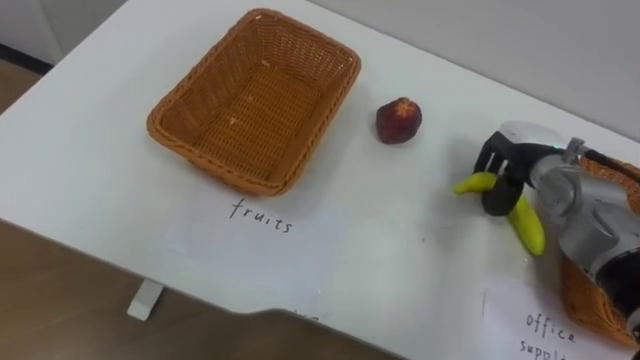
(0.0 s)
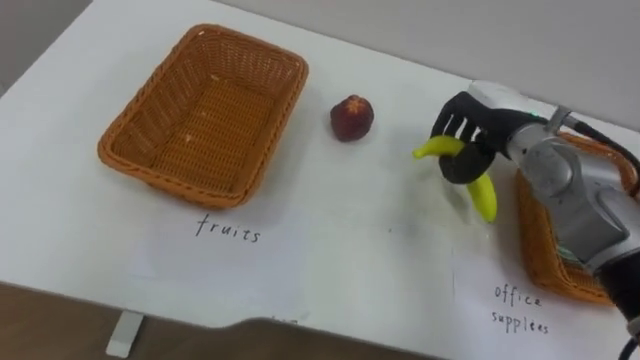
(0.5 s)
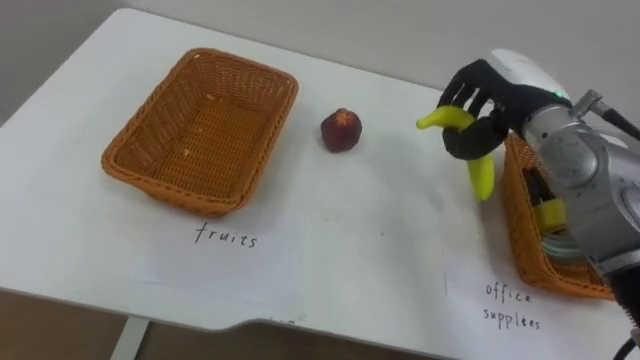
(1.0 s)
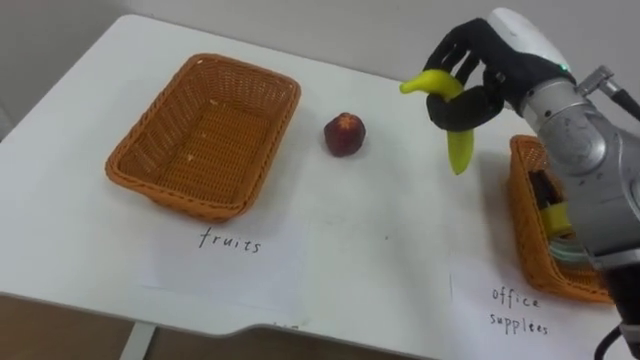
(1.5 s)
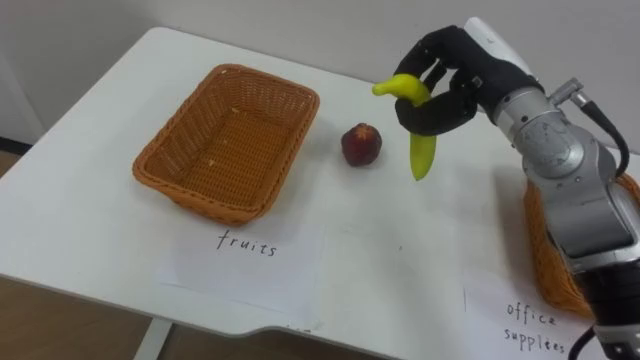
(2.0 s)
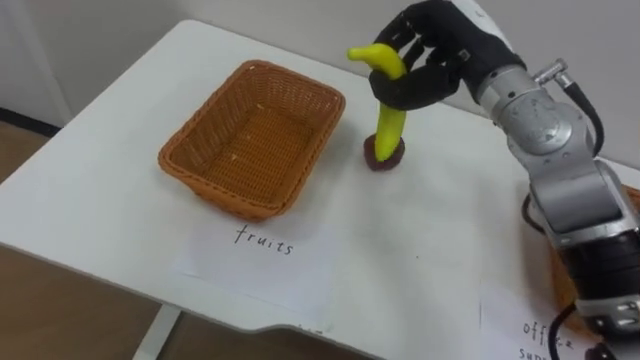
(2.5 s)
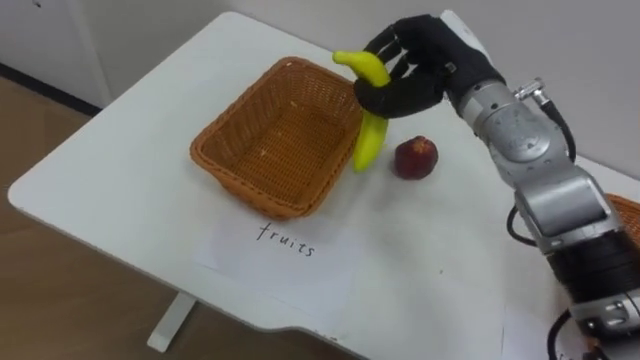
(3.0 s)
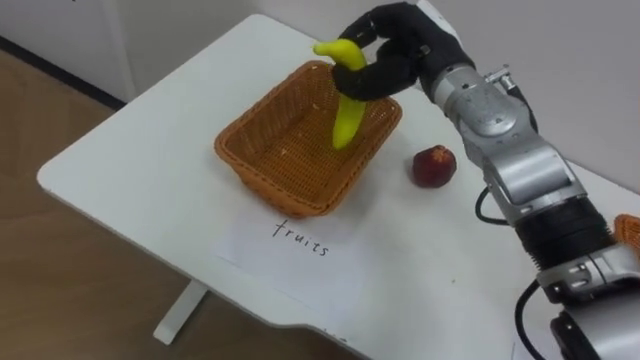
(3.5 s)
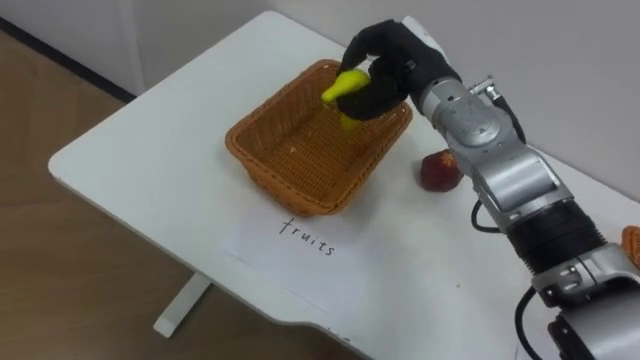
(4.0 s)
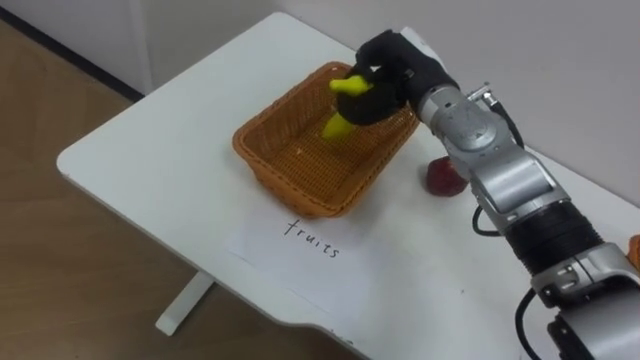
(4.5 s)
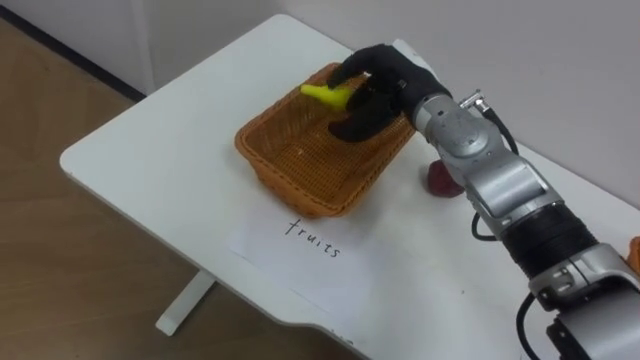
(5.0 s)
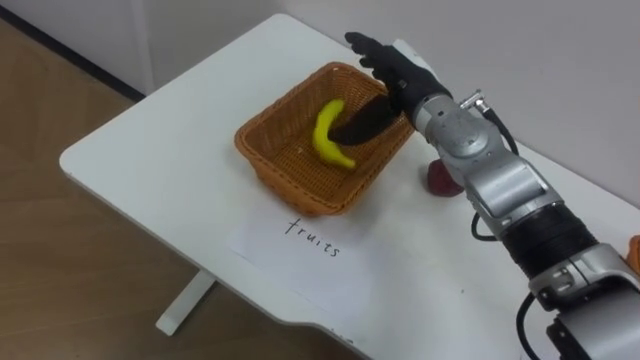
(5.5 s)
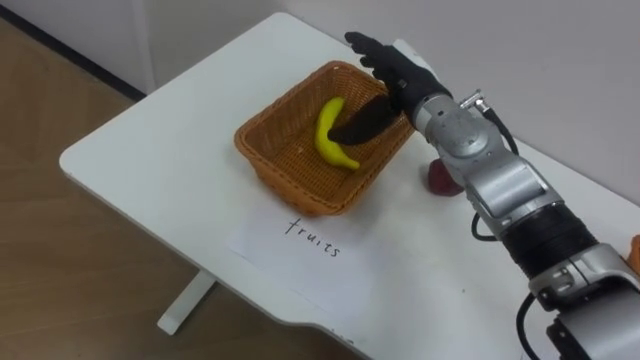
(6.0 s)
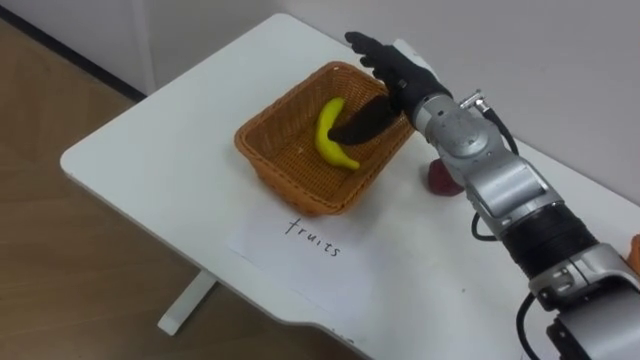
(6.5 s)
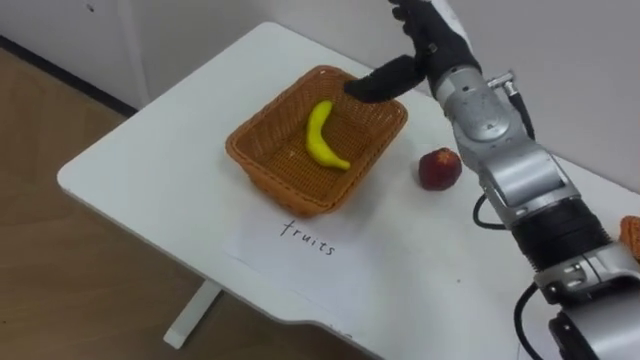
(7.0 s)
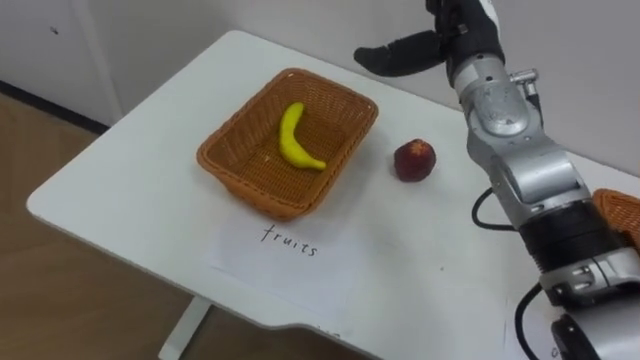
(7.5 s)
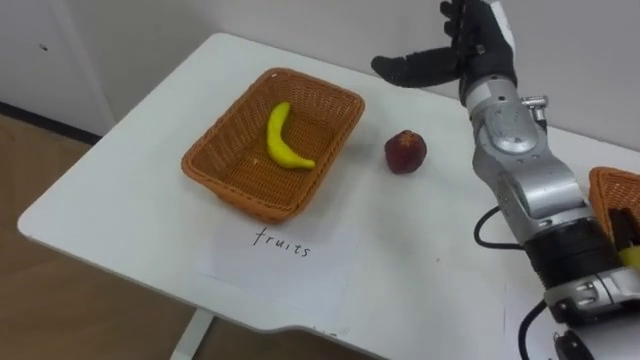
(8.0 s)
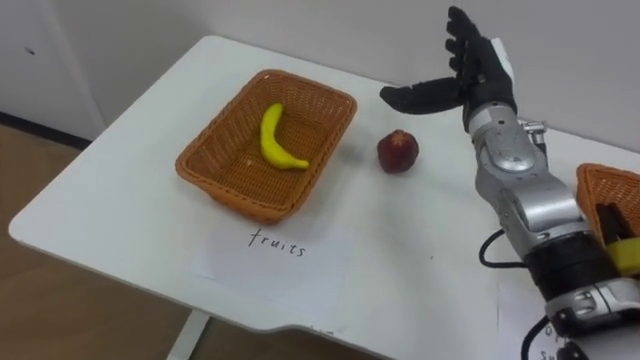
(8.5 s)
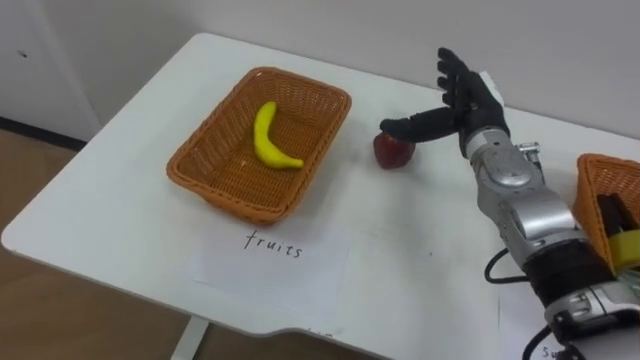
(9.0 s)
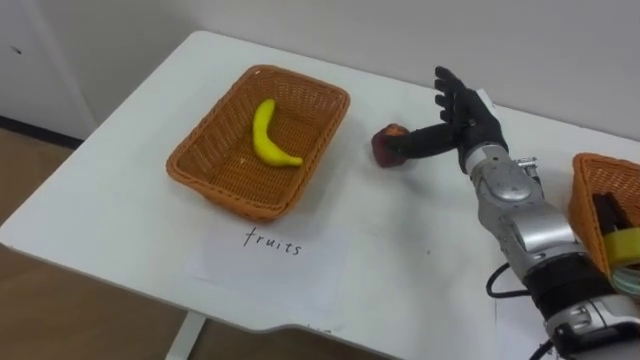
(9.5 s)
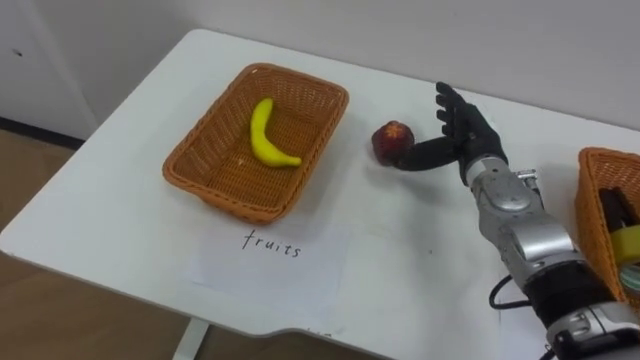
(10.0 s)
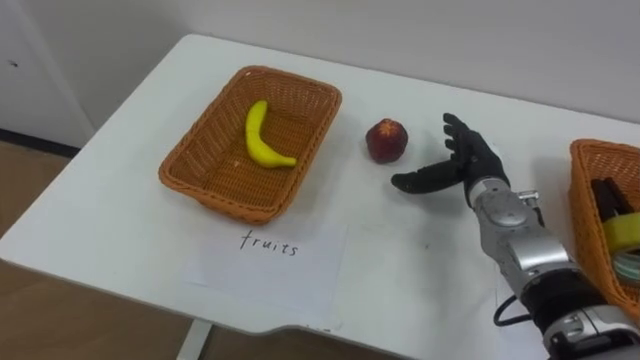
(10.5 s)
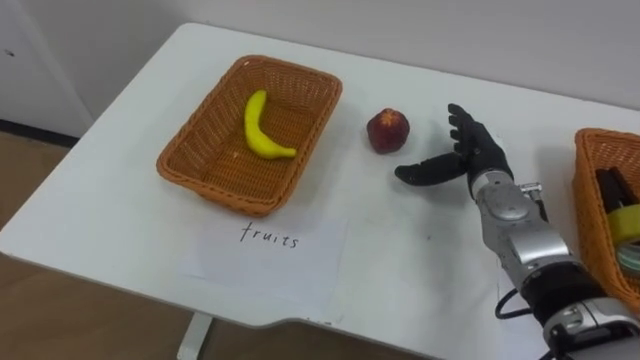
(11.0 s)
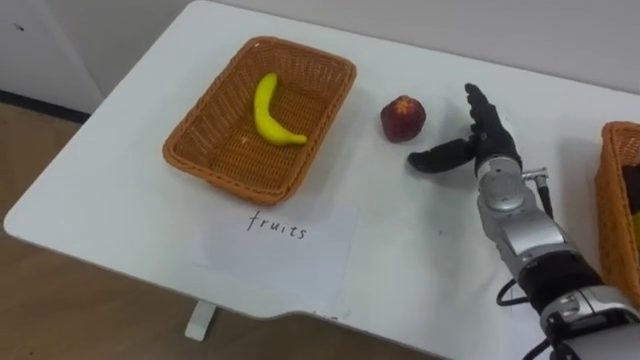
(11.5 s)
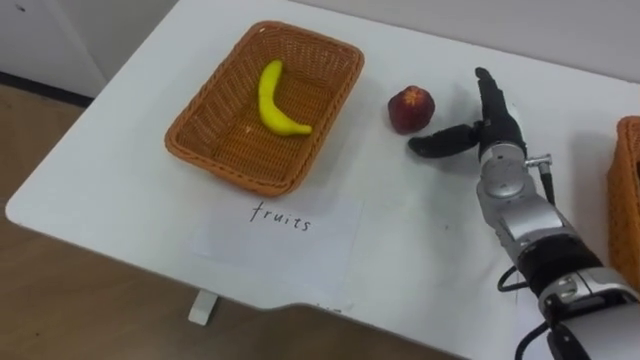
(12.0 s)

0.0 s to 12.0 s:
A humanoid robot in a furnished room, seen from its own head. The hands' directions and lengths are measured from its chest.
Task of the whole recording: Separate the items on the table and place them into the two baskets.
0.0 to 2.0 s: The right hand moves upward and to the left, some 15 cm.
2.0 to 4.0 s: The right hand shifts about 10 cm to the left.
4.0 to 6.0 s: The right hand opens its fingers.
6.0 to 8.0 s: The right hand travels to the right by about 5 cm.
8.0 to 10.0 s: The right hand heads downward, covering roughly 10 cm.

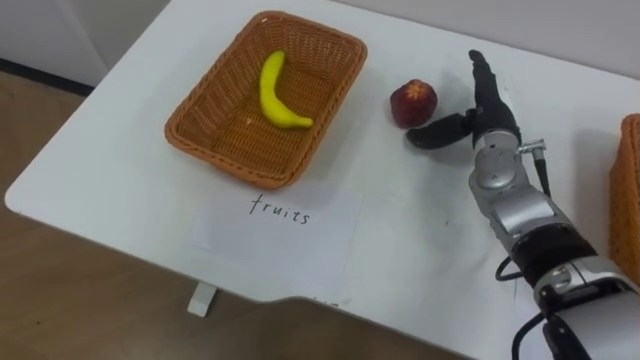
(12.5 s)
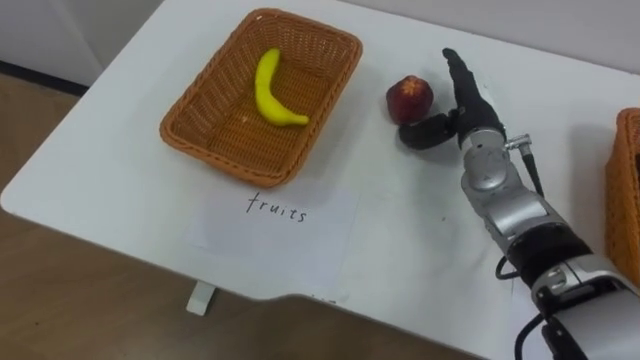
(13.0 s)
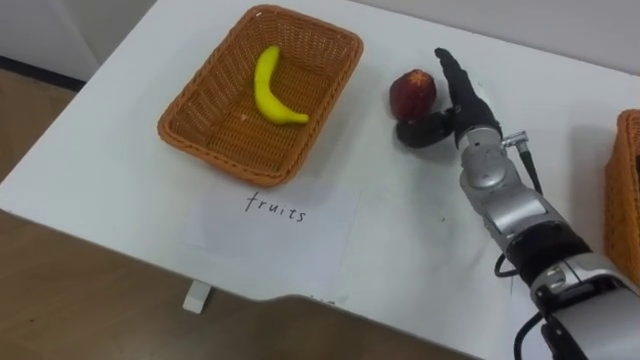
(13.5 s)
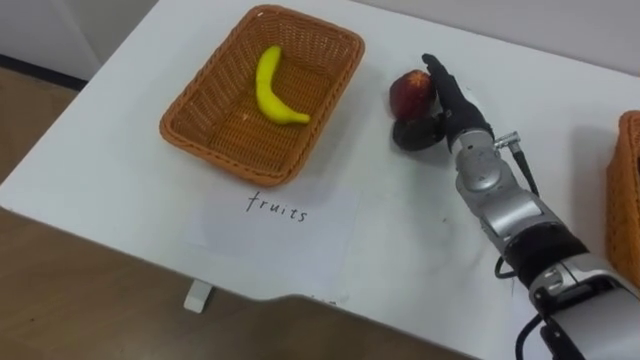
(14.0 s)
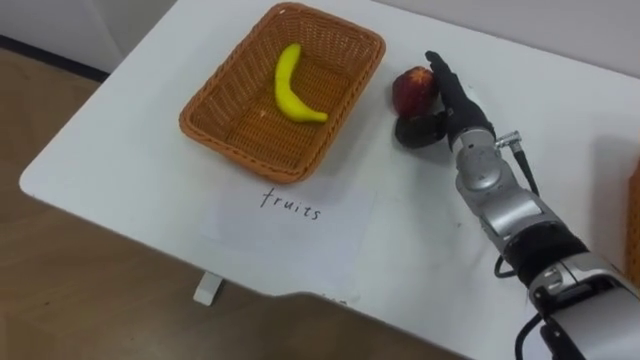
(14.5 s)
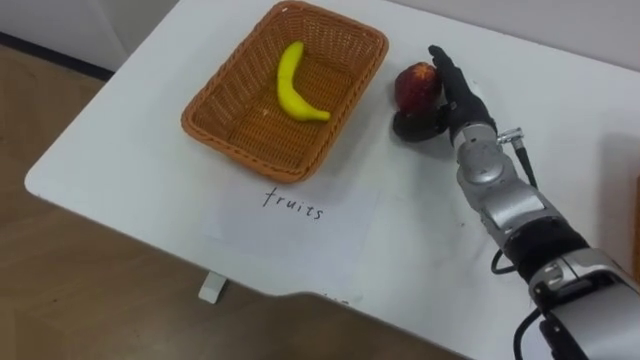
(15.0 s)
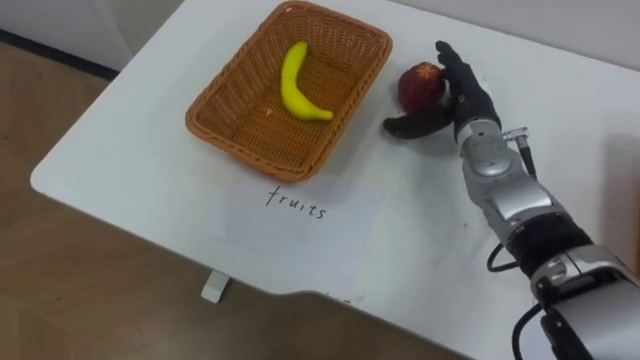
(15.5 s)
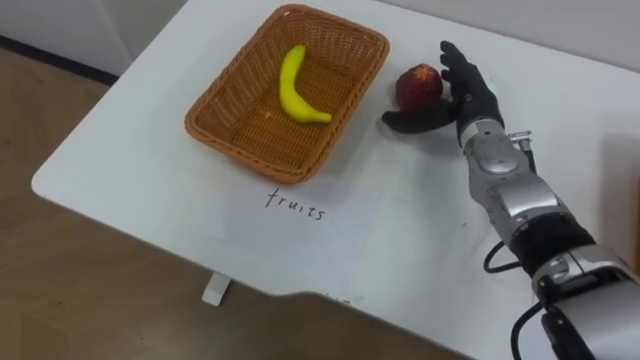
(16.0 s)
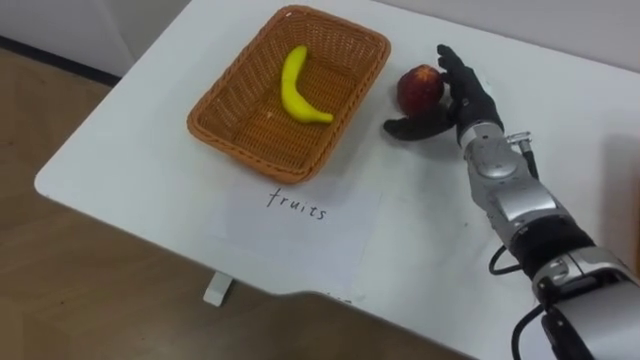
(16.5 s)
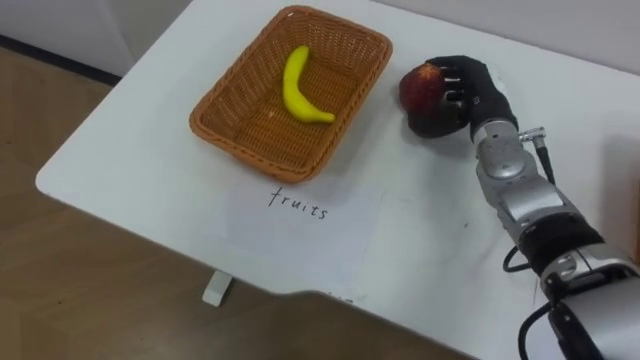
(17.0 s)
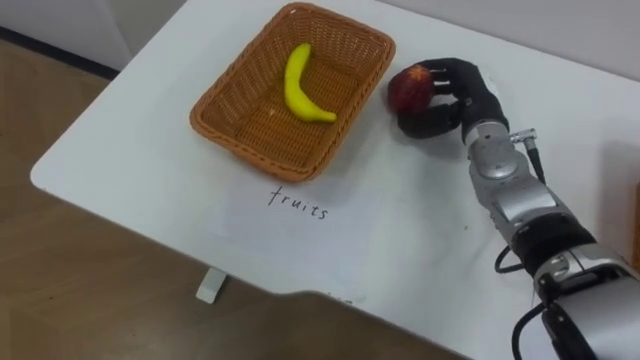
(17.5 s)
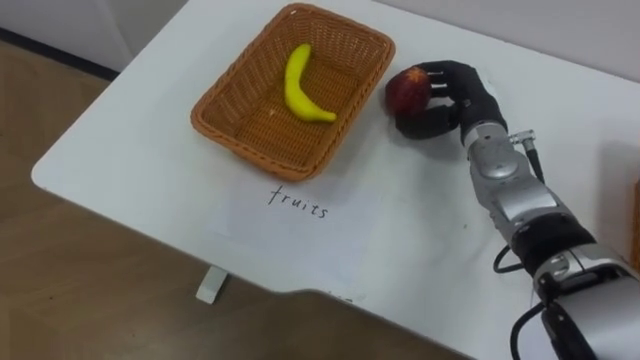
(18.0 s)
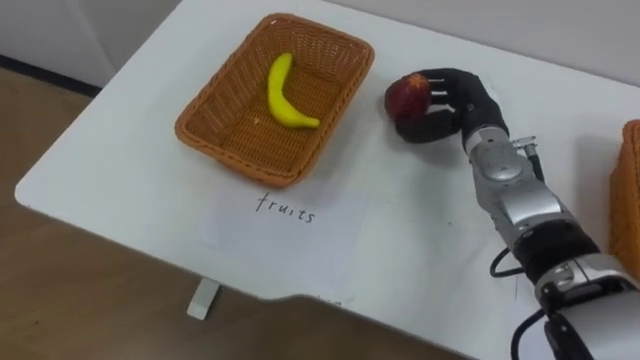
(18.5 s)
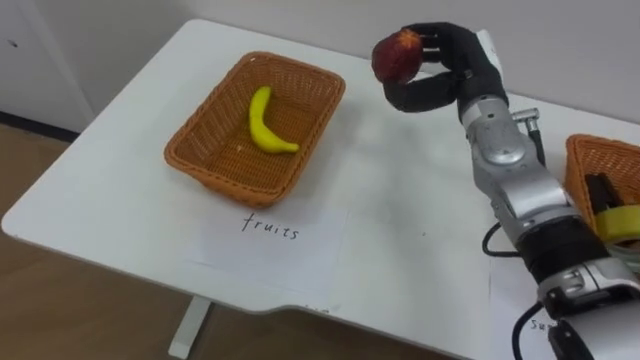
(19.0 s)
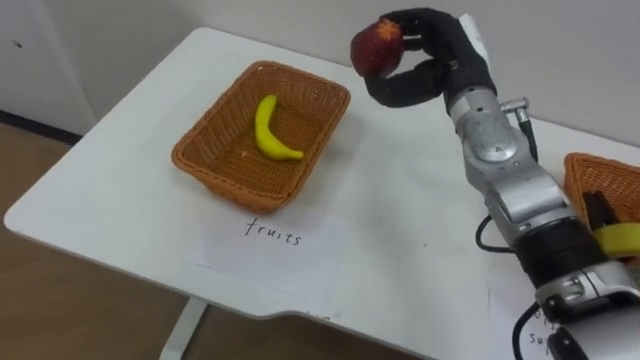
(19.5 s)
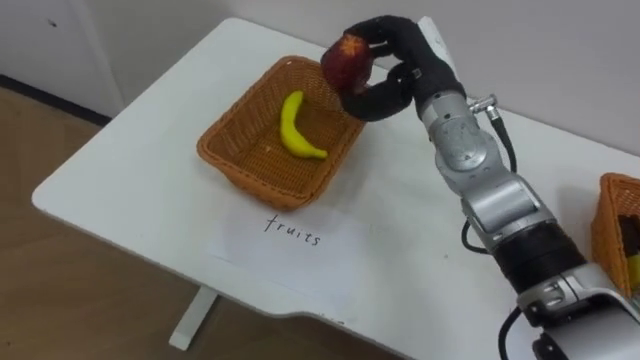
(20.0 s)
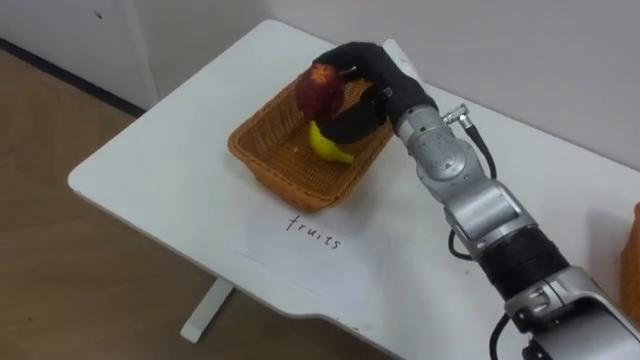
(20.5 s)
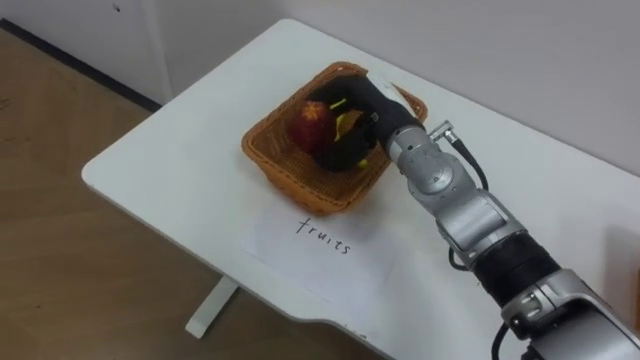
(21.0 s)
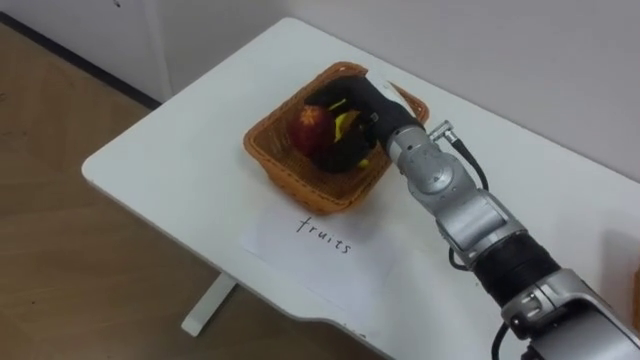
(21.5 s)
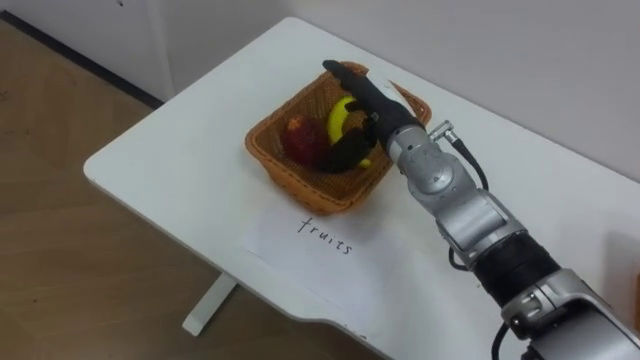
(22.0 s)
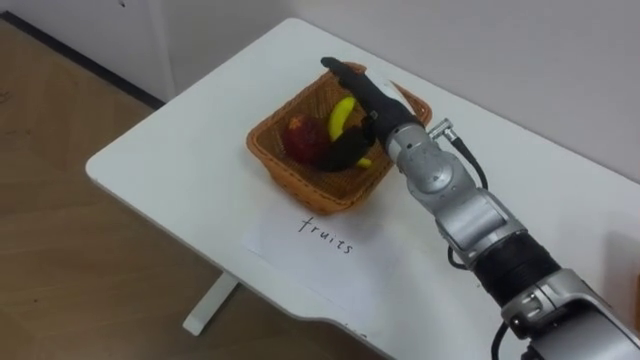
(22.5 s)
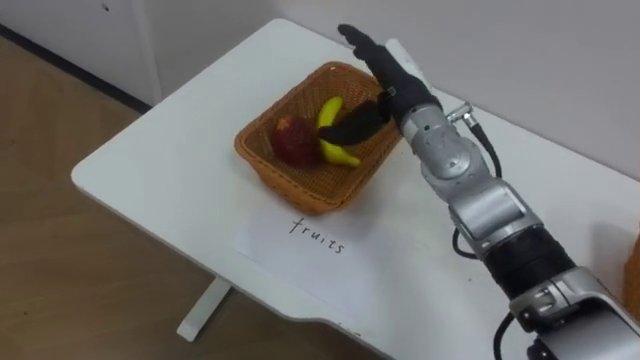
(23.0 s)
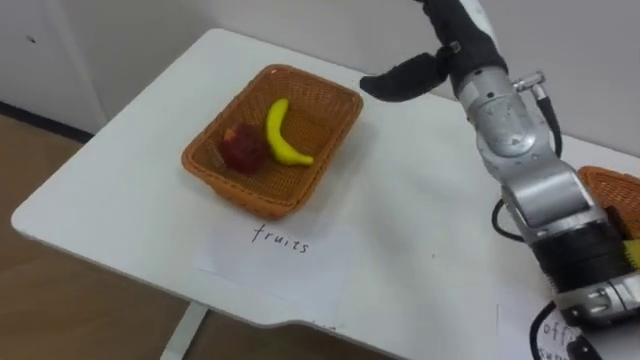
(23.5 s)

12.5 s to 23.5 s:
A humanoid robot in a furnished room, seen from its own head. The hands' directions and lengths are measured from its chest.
Task of the whole recording: Separate the items on the table and place them into the two baskets.
16.0 to 18.0 s: The right hand closes its fingers.
18.0 to 20.0 s: The right hand goes approximately 10 cm upward and to the left.
20.0 to 21.5 s: The right hand travels downward by approximately 5 cm.
21.5 to 23.5 s: The right hand goes about 10 cm upward and to the right, and opens up.
